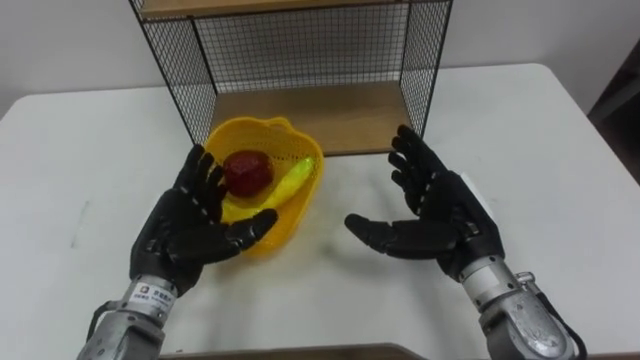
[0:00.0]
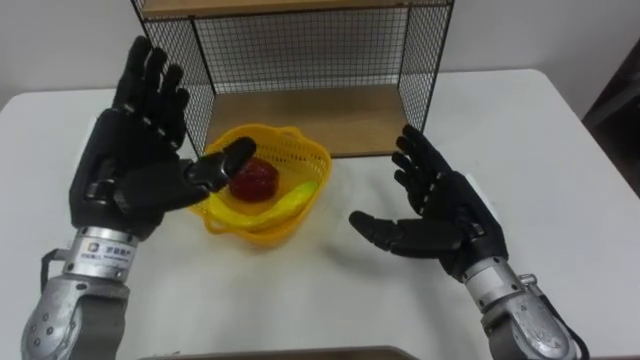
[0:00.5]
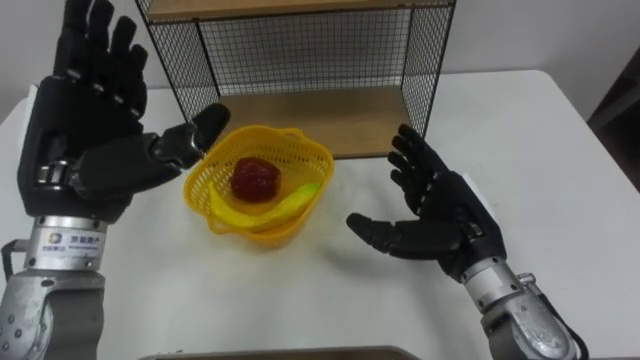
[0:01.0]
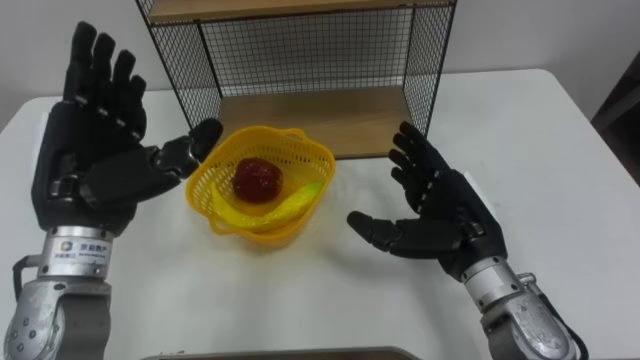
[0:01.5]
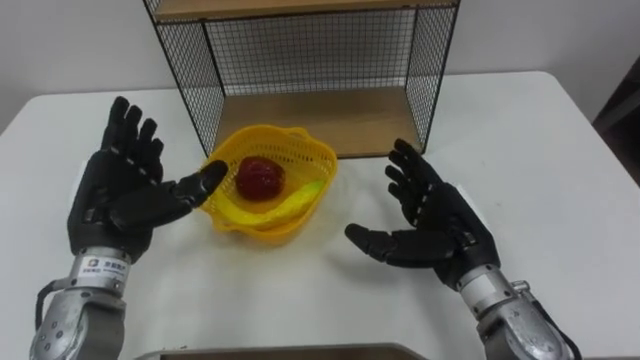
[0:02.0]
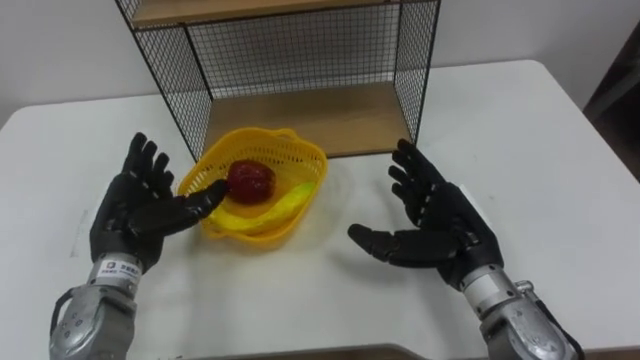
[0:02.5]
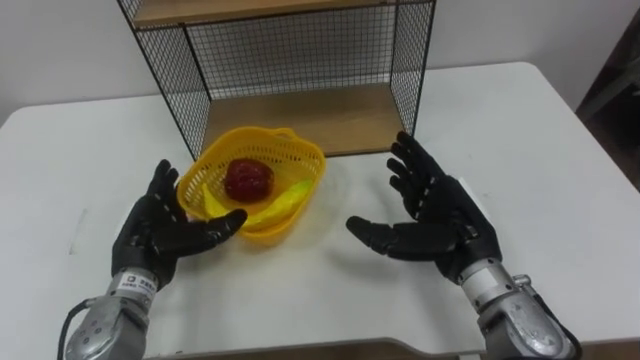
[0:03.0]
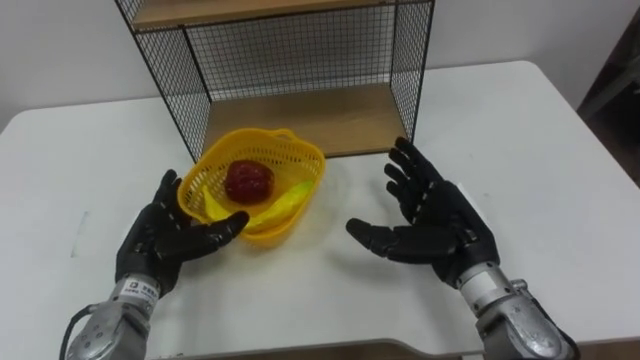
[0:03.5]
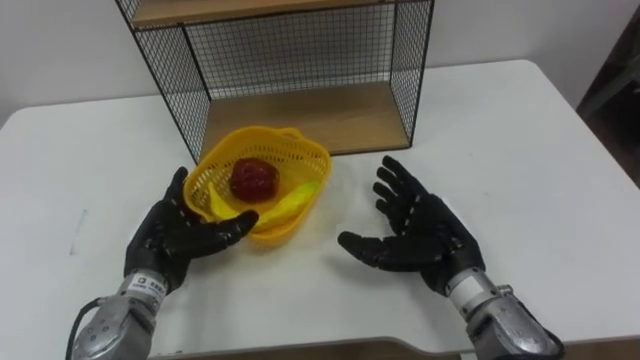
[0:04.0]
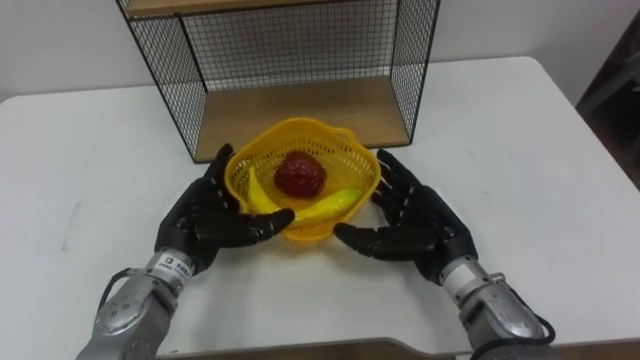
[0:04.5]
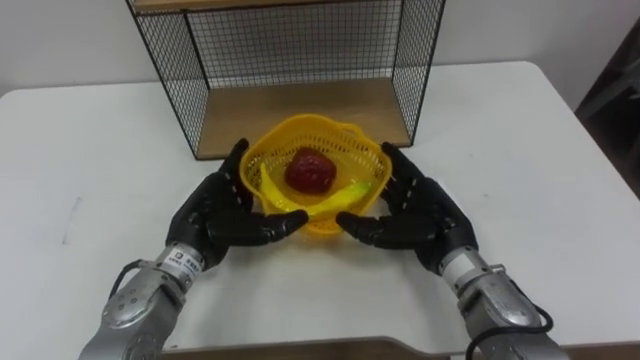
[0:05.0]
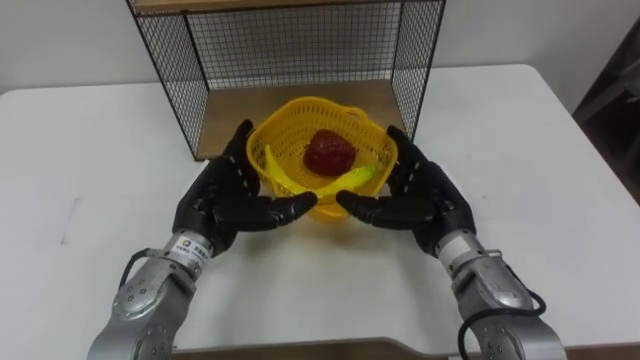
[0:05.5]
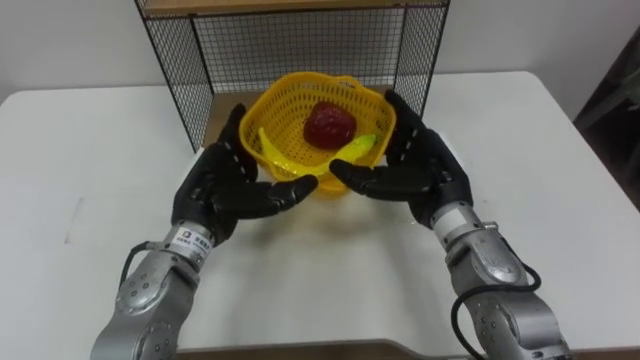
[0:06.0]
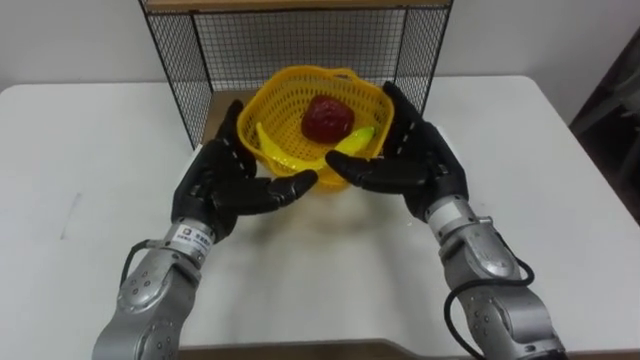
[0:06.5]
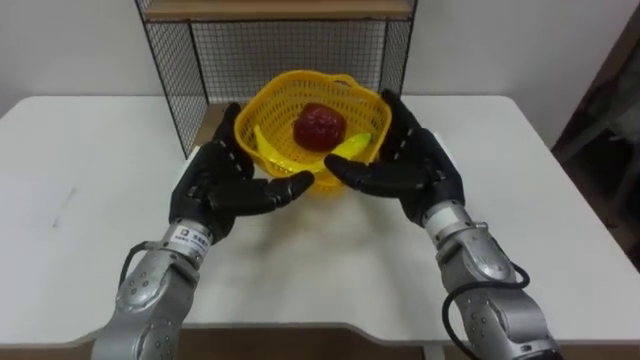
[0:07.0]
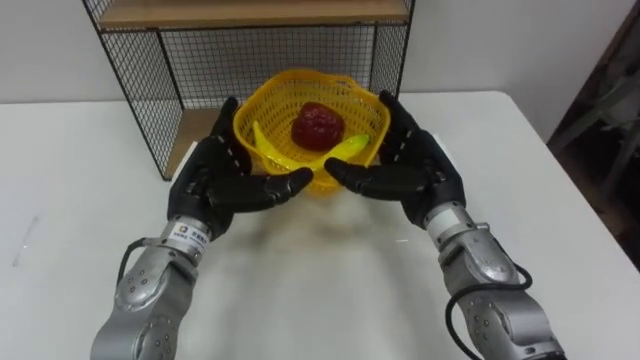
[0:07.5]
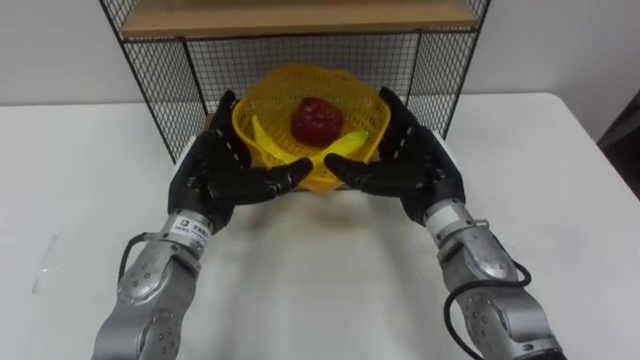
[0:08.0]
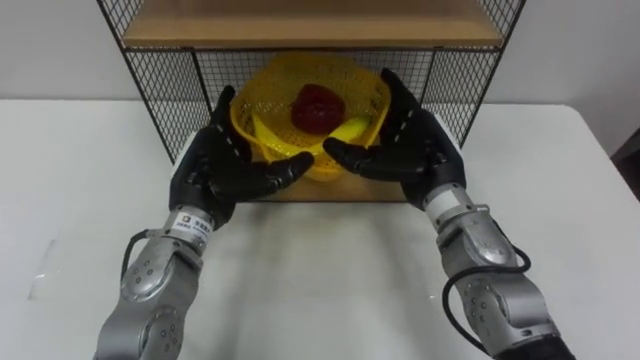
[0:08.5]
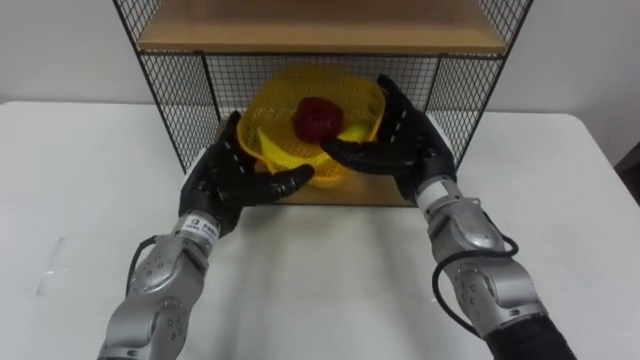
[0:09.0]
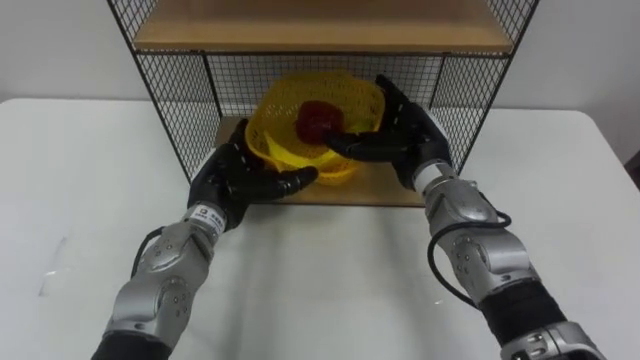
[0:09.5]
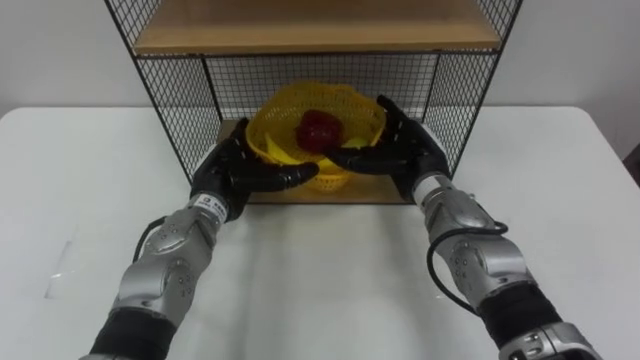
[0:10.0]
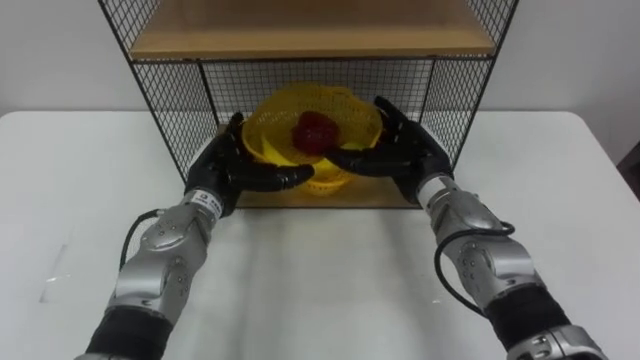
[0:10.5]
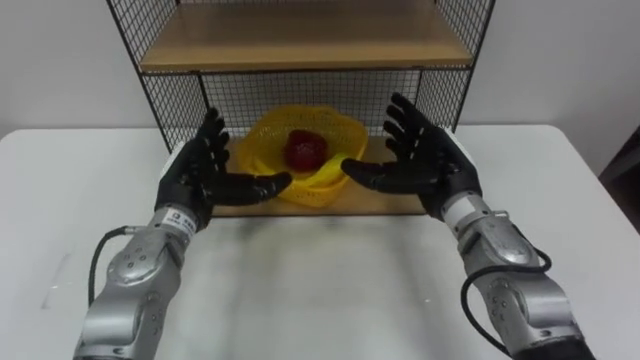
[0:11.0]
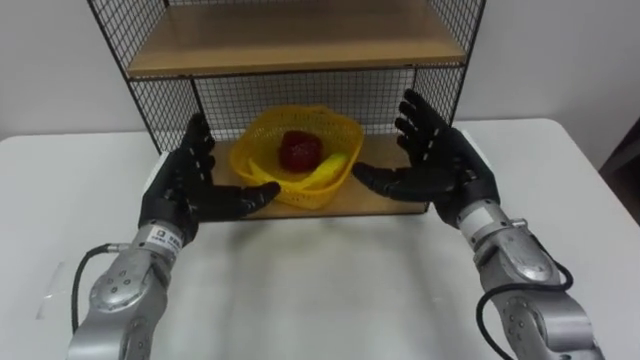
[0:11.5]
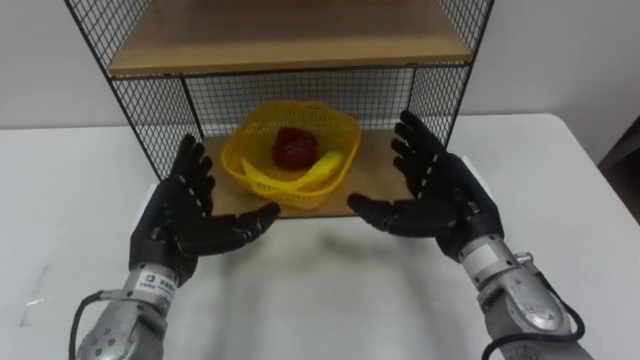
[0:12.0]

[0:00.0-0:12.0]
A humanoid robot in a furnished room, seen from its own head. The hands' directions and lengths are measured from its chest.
Task of the whole recording: Put the fruit on the table into the basket, then place the basket on the shelf.
0:00.0 to 0:02.0: The left hand shifts approximately 5 cm to the left, and moves some 15 cm upward and comes back.
0:02.0 to 0:04.0: The left hand travels downward by about 10 cm.
0:04.0 to 0:06.0: The right hand travels forward by about 5 cm, while the left hand is displaced to the right and upward by some 10 cm.
0:08.0 to 0:10.0: The left hand ends up about 5 cm from where it was. The right hand moves some 5 cm.
0:10.0 to 0:12.0: The right hand heads backward, covering roughly 10 cm. The left hand heads backward and to the left, covering about 10 cm.

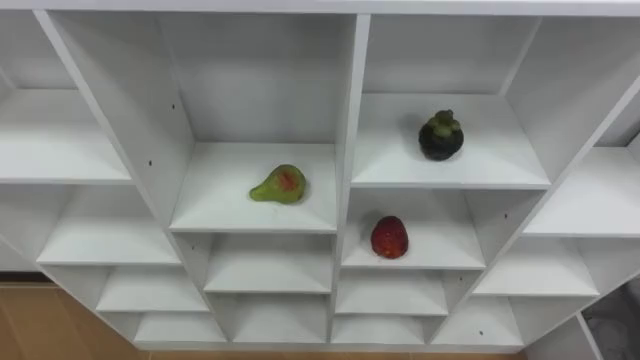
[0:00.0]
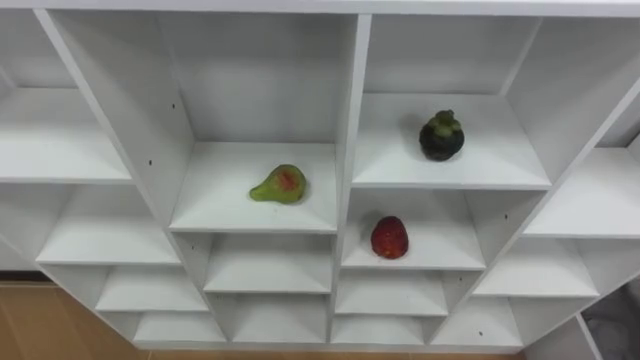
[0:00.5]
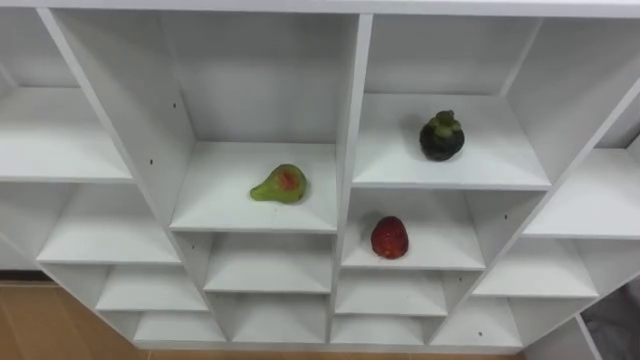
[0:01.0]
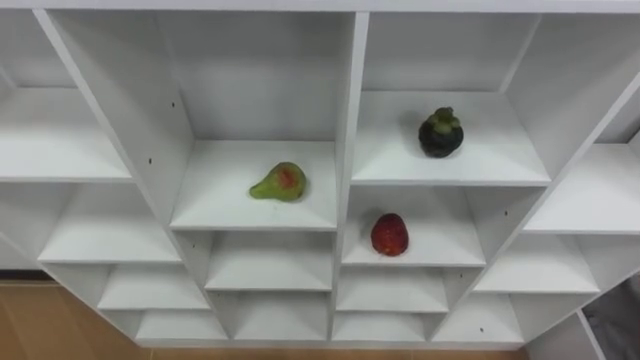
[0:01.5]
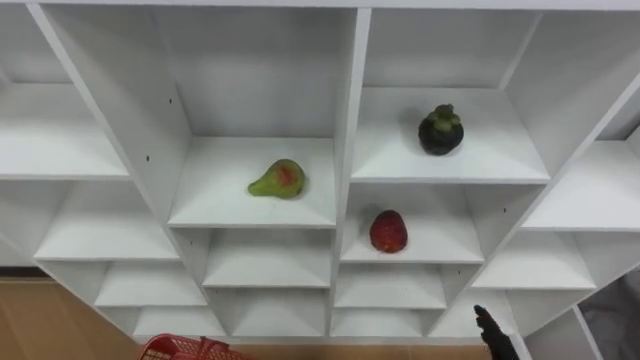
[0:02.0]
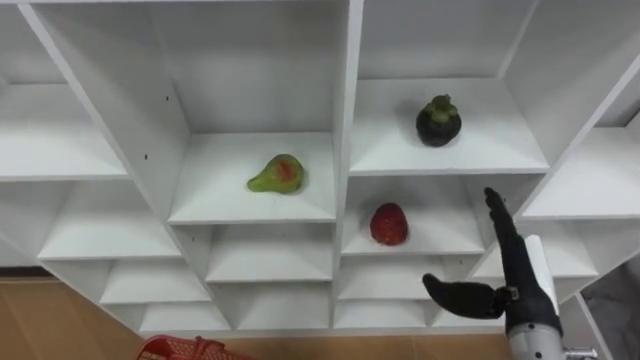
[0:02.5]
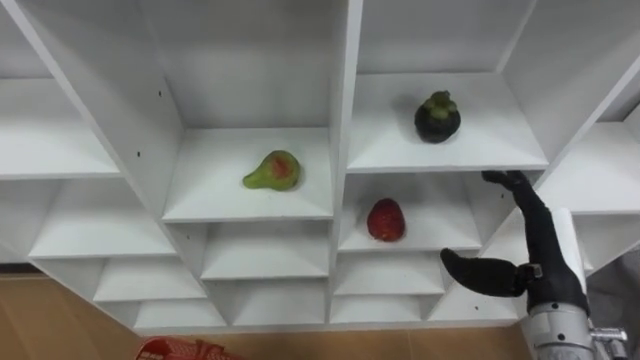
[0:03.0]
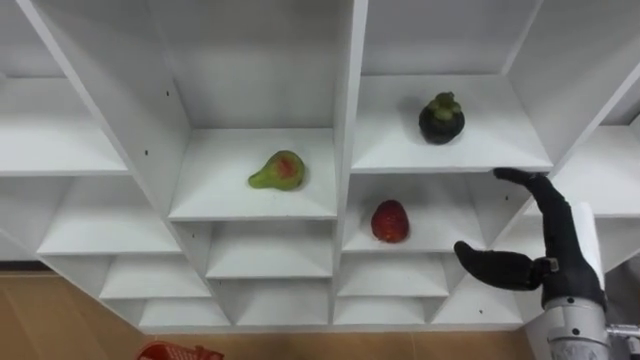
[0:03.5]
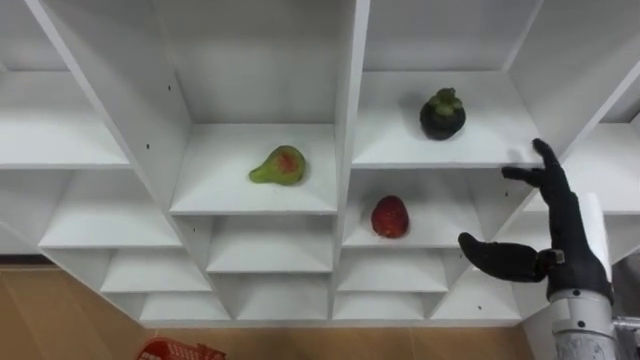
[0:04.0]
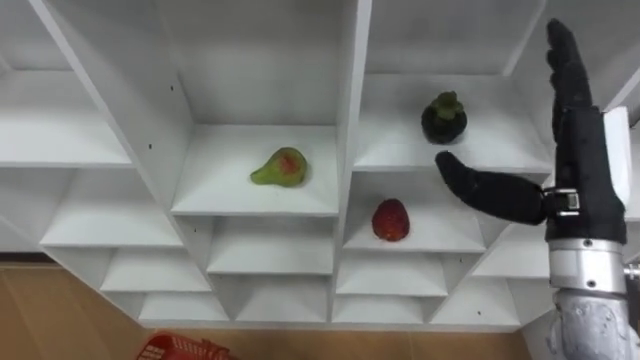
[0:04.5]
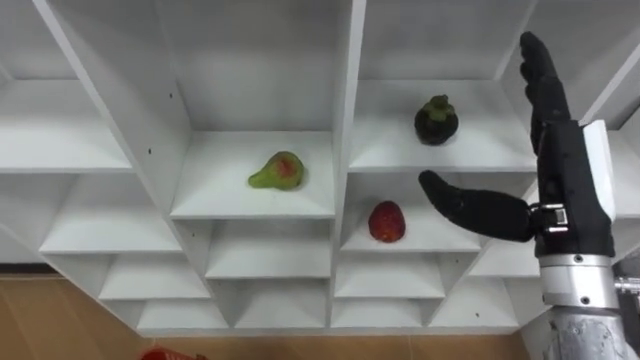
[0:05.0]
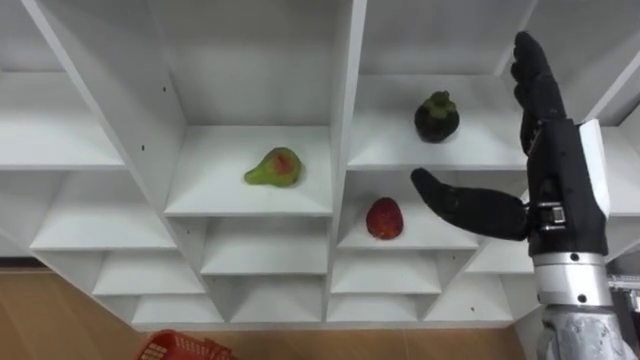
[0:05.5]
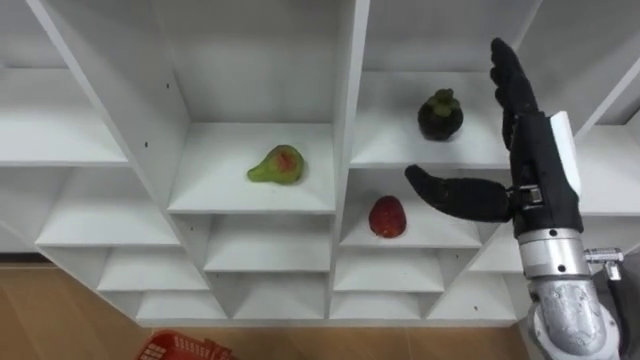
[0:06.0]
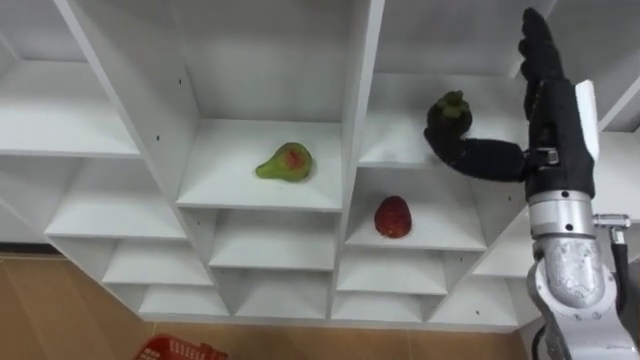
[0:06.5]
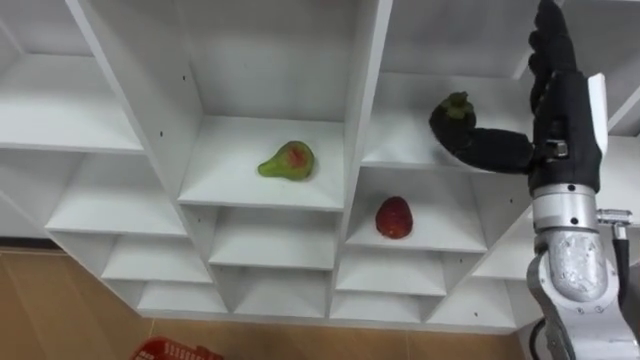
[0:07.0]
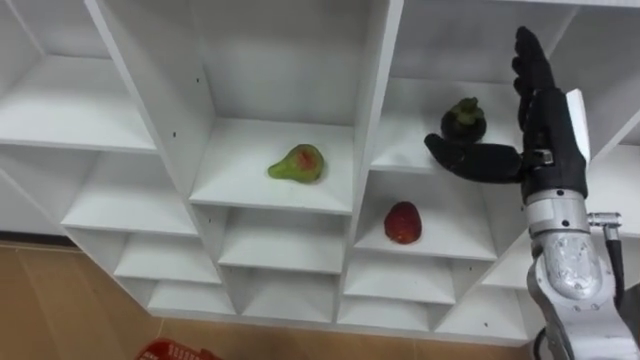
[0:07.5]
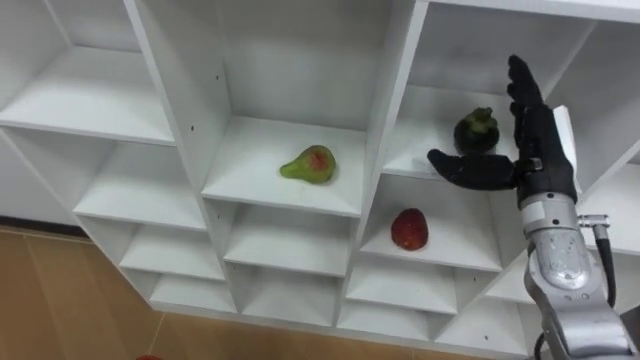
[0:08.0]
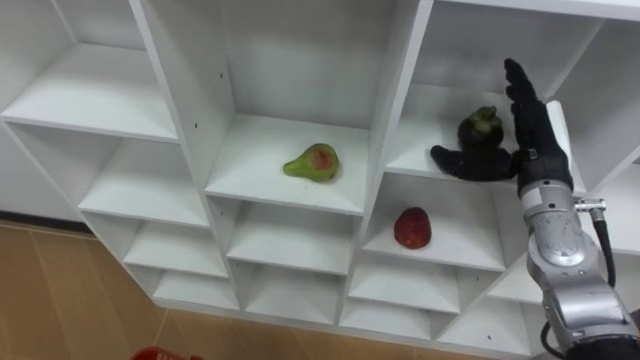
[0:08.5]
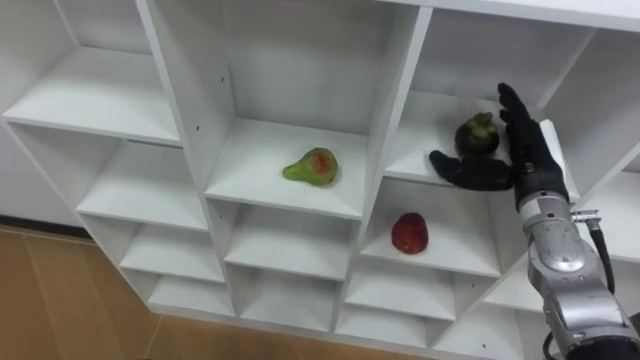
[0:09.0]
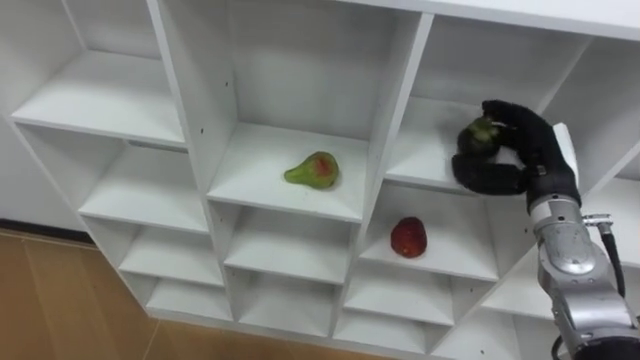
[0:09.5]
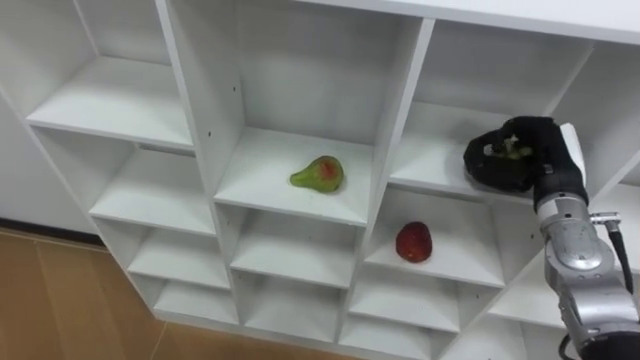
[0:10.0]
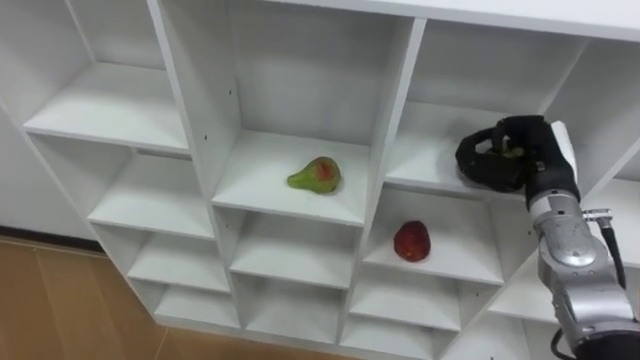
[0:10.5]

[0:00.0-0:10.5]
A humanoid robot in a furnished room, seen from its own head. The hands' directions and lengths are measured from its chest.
Task of the whole recording: Hold the basket and collect the fruits from 3 different cells of the closet into it.
0:04.0 to 0:06.5: The right hand shifts approximately 10 cm upward and forward.
0:06.5 to 0:08.5: The right hand moves downward, some 5 cm.
0:08.5 to 0:10.5: The right hand closes up.
